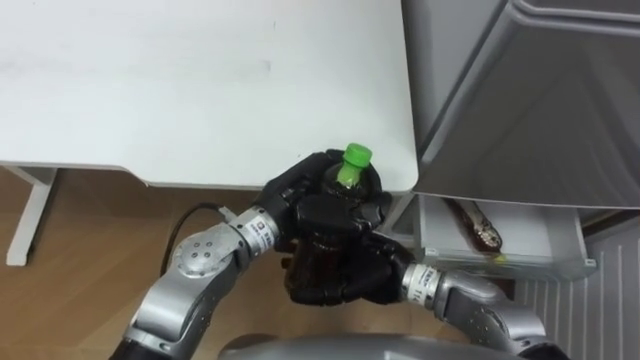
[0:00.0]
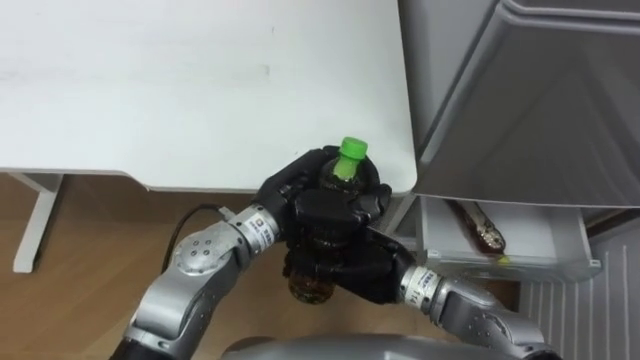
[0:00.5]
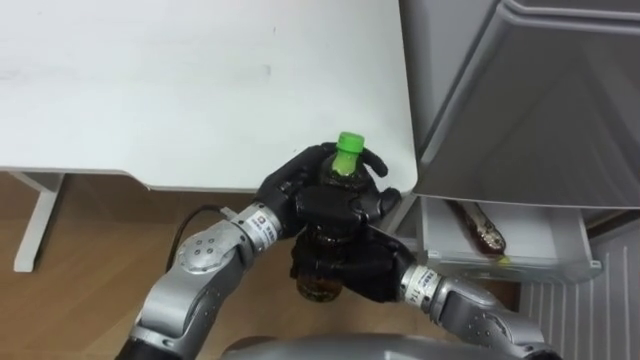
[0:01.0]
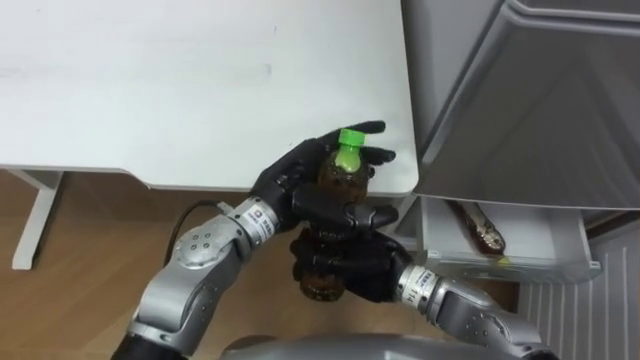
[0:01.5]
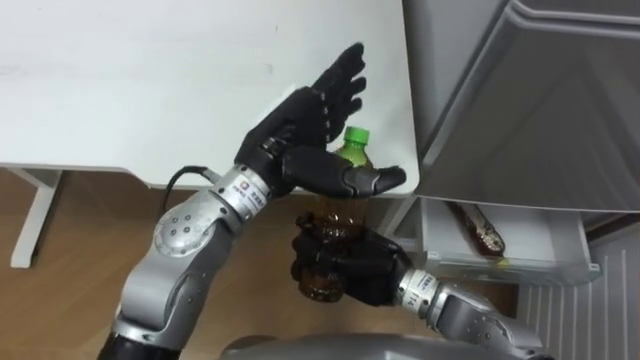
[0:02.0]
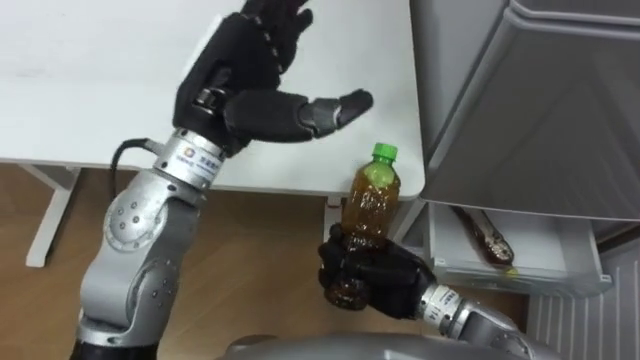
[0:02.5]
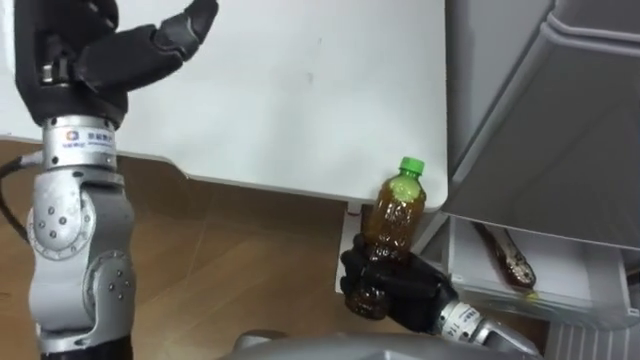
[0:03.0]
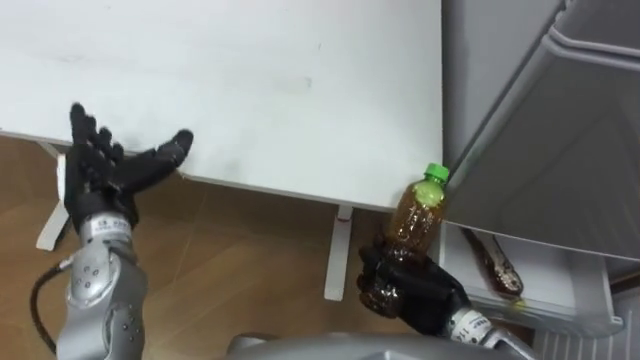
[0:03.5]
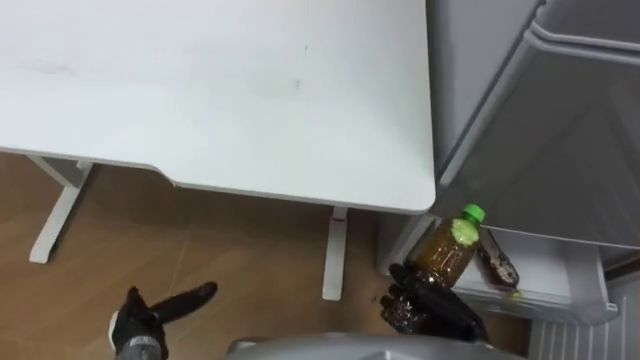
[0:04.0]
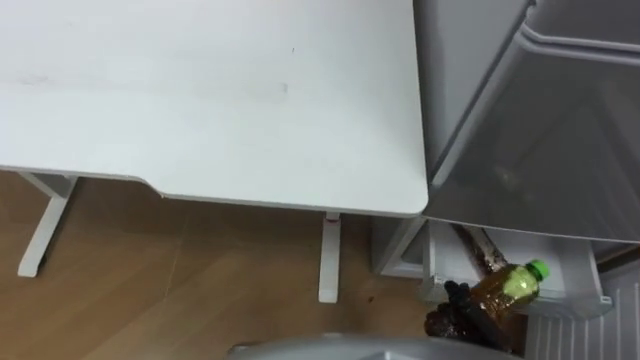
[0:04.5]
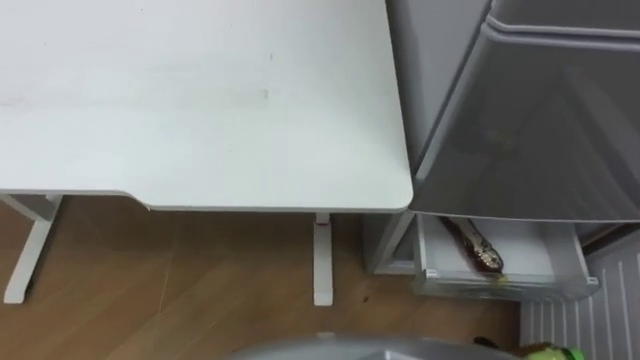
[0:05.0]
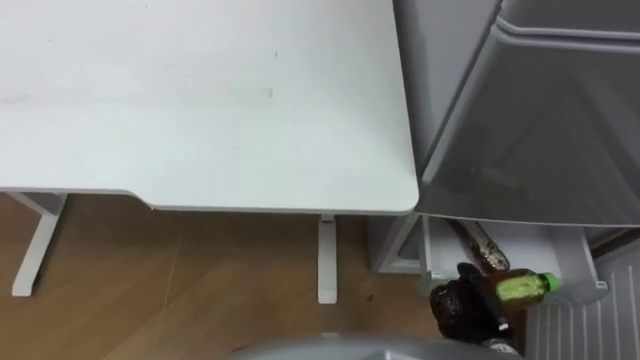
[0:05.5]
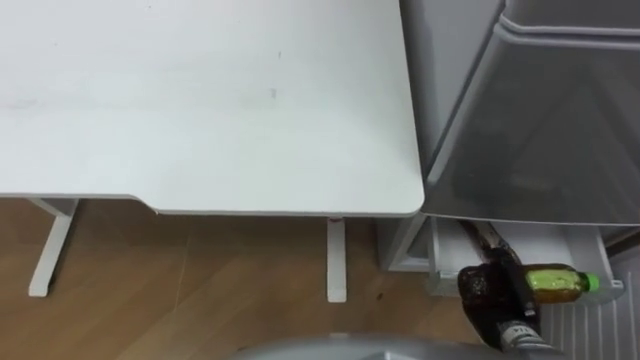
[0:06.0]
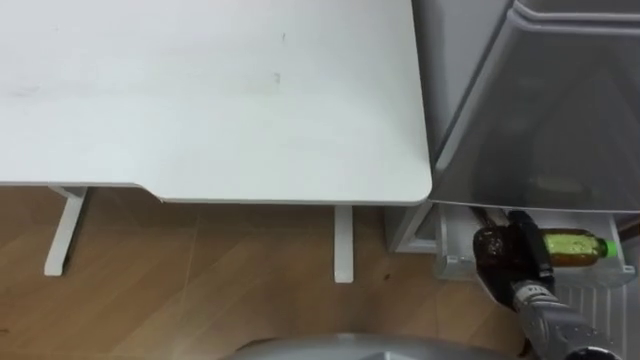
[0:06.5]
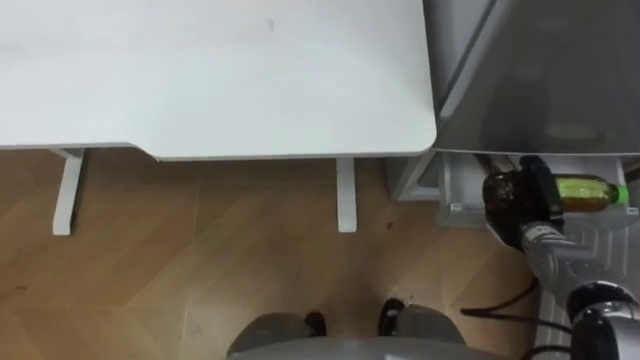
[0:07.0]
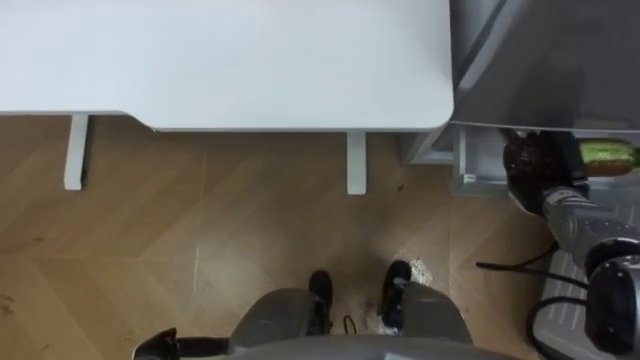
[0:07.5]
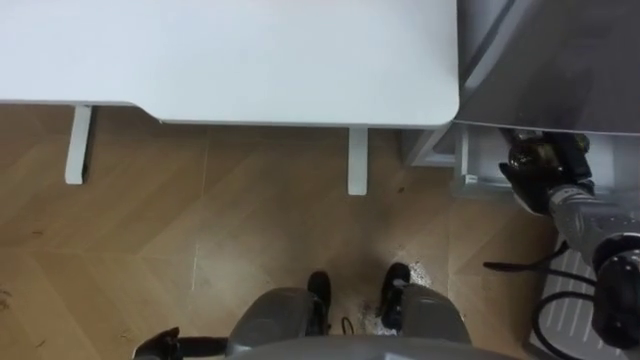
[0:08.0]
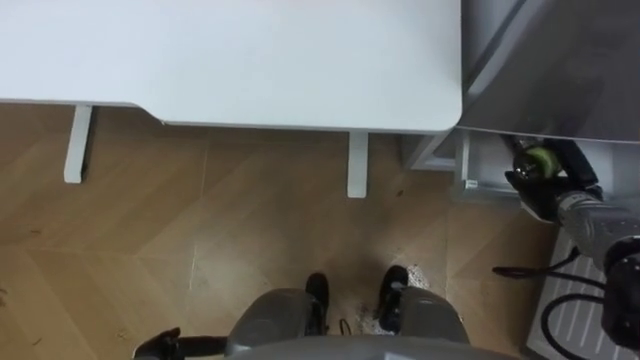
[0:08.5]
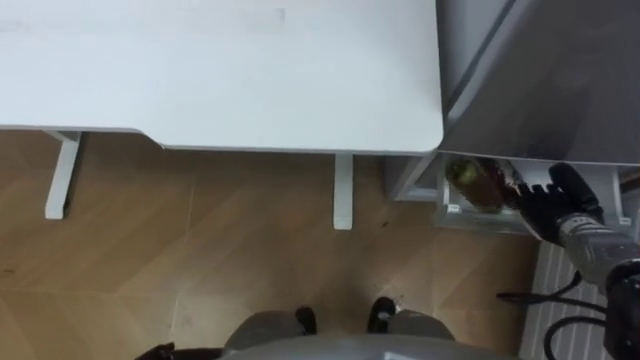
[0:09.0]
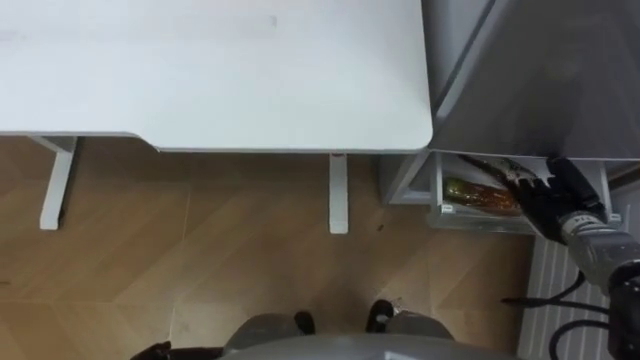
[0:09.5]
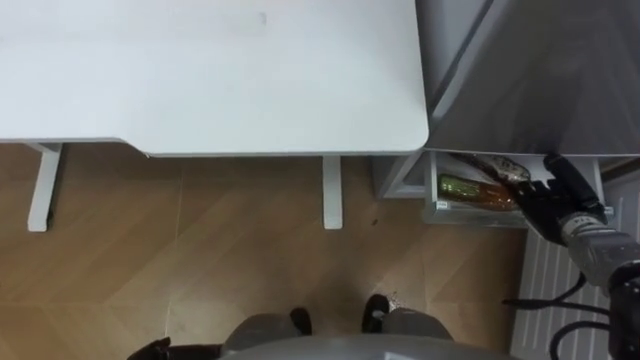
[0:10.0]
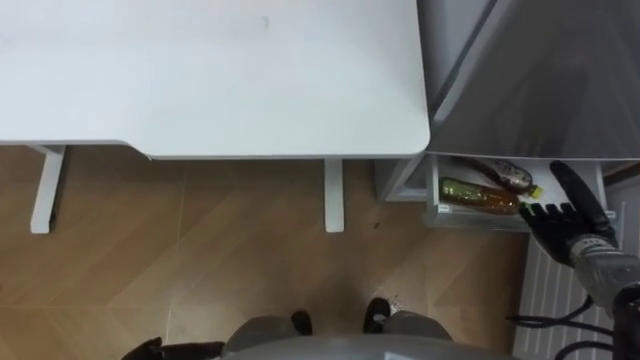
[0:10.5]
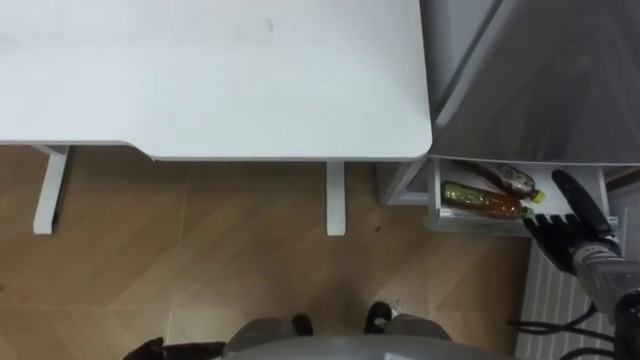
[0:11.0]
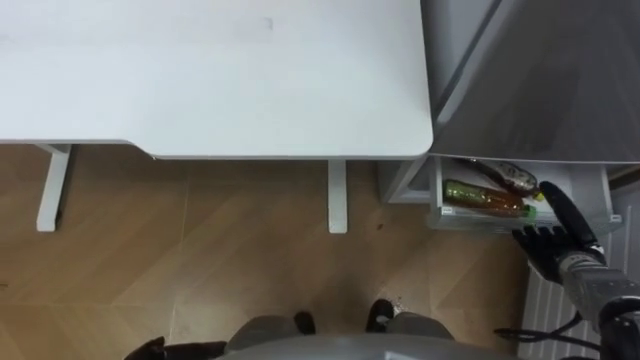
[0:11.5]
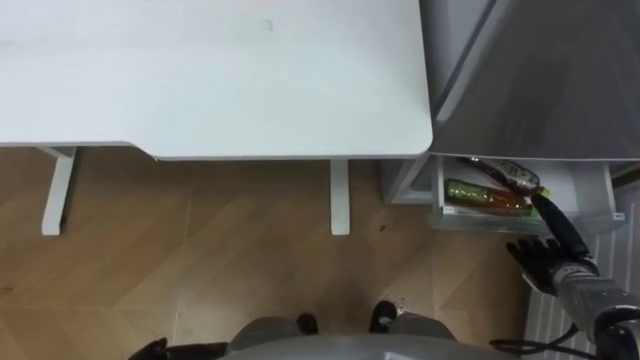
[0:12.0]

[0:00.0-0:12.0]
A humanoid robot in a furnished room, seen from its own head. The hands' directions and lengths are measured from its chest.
Task of the whole recording: Place the drink on the table on the bottom shelf of the refrigerator, then close the drawer and the refrigerator door.
0:00.0 to 0:02.0: The left hand is displaced upward by some 5 cm, and opens. Meanwhile the right hand closes.
0:02.0 to 0:04.0: The right hand moves to the right, downward and backward, roughly 15 cm. The left hand goes about 35 cm downward, to the left and backward.
0:06.0 to 0:08.0: The right hand travels forward and upward by some 20 cm, and opens.
0:10.0 to 0:12.0: The right hand goes roughly 5 cm backward.

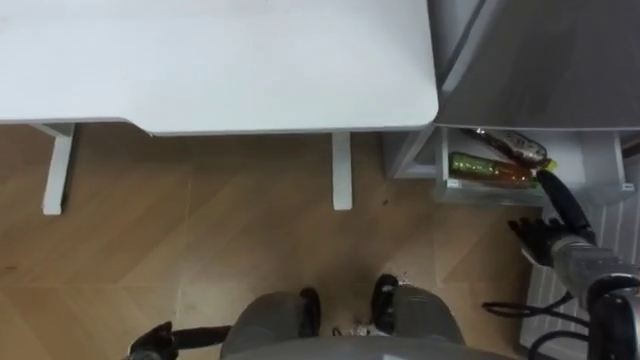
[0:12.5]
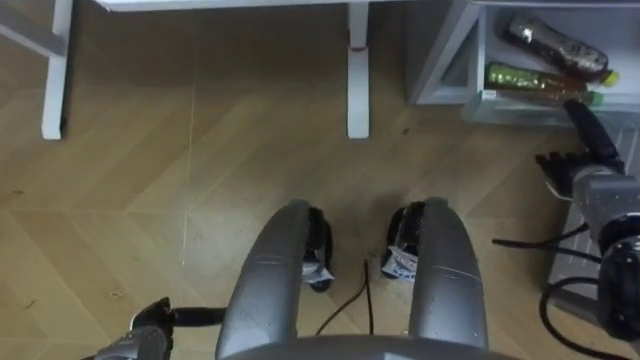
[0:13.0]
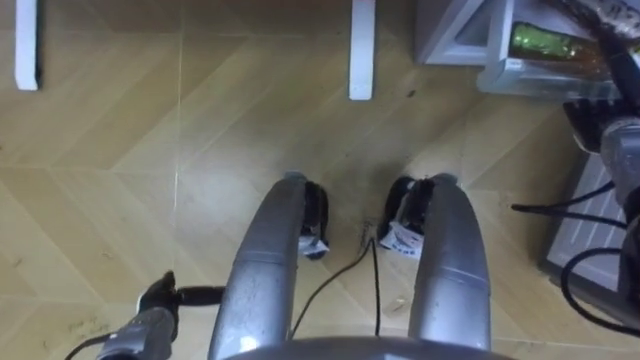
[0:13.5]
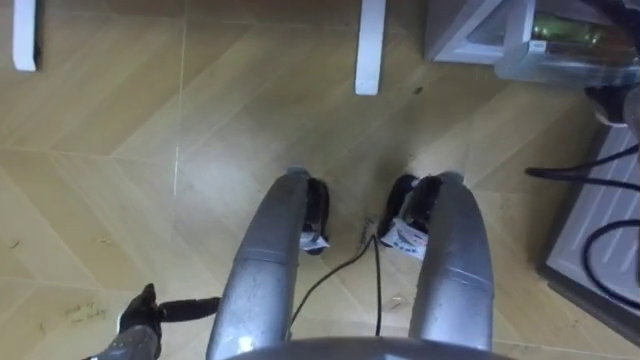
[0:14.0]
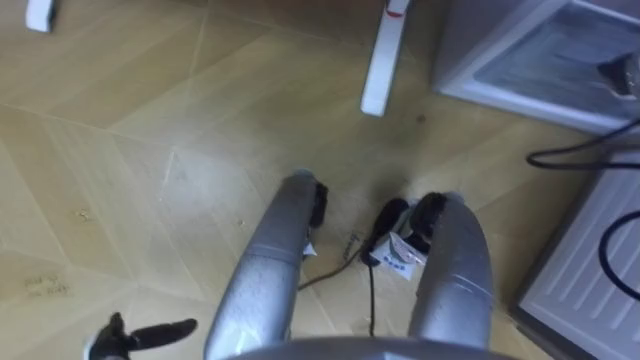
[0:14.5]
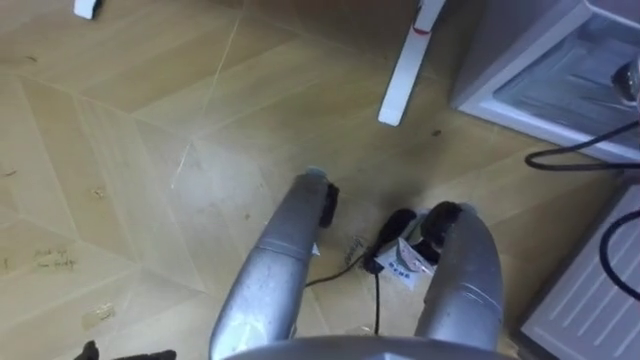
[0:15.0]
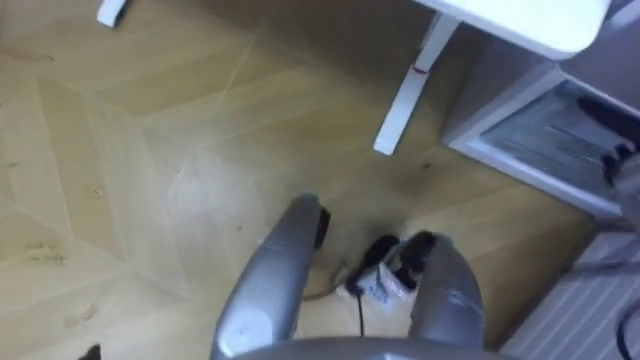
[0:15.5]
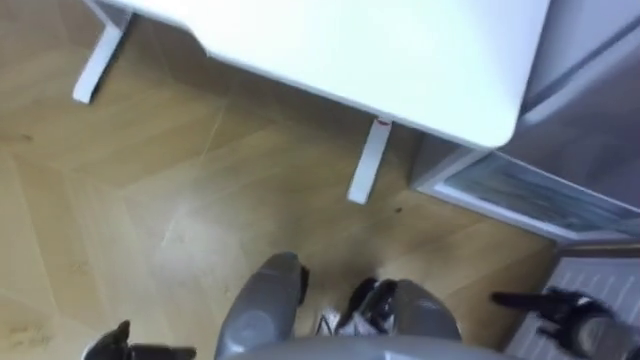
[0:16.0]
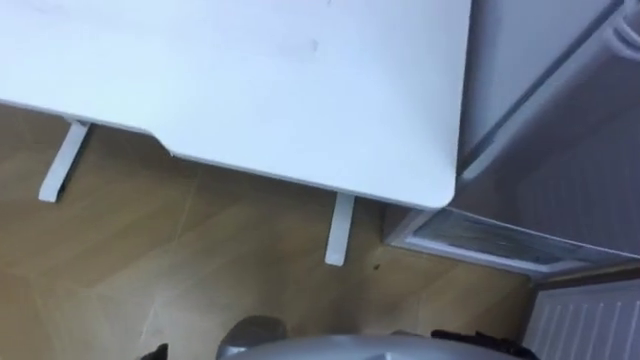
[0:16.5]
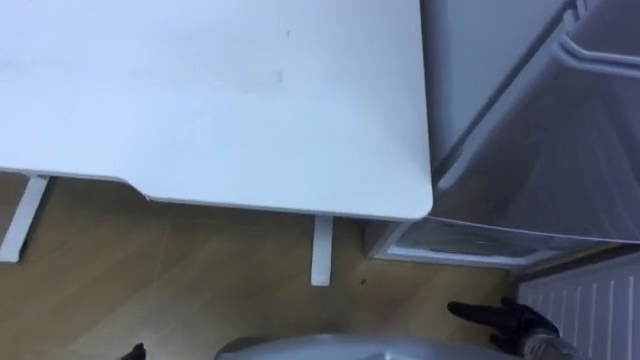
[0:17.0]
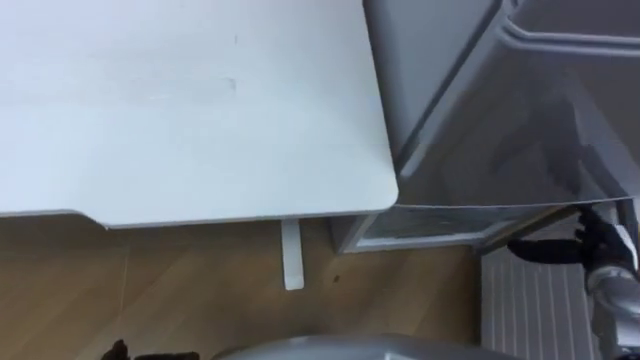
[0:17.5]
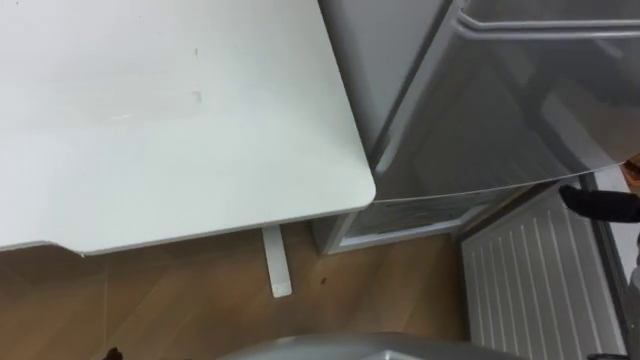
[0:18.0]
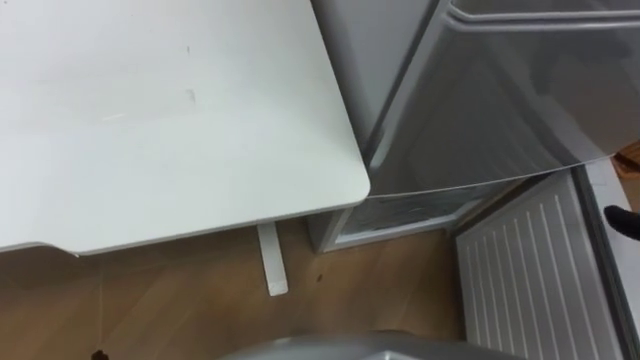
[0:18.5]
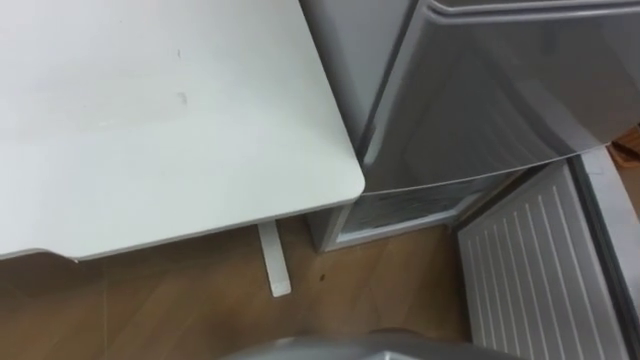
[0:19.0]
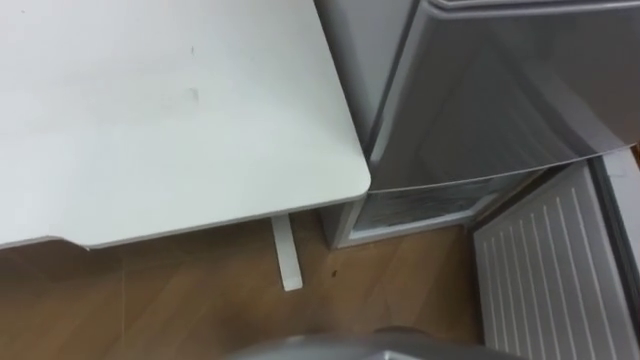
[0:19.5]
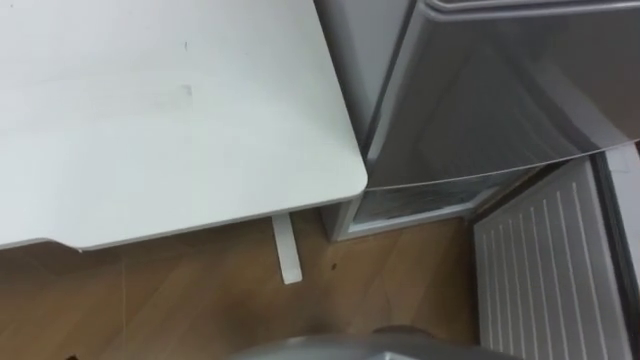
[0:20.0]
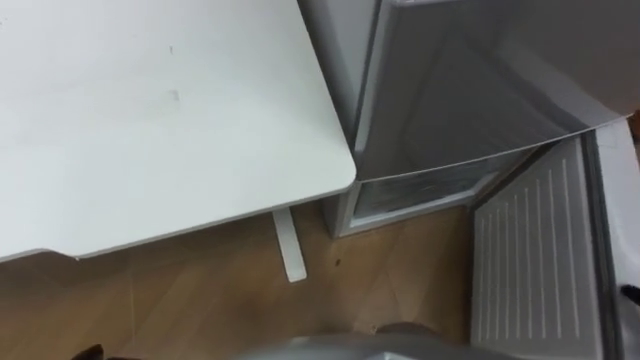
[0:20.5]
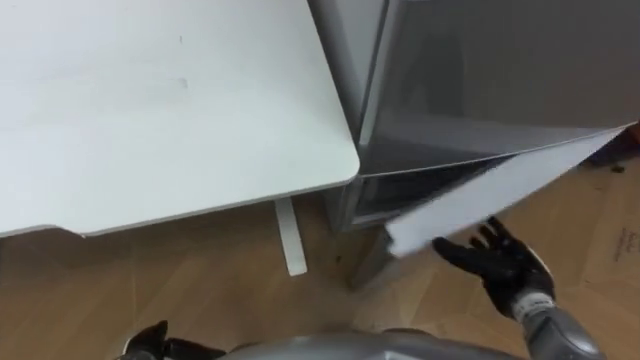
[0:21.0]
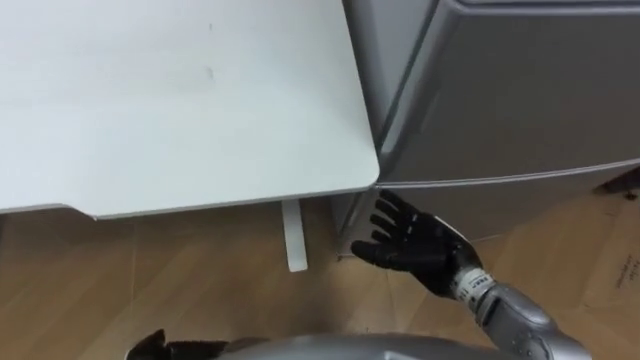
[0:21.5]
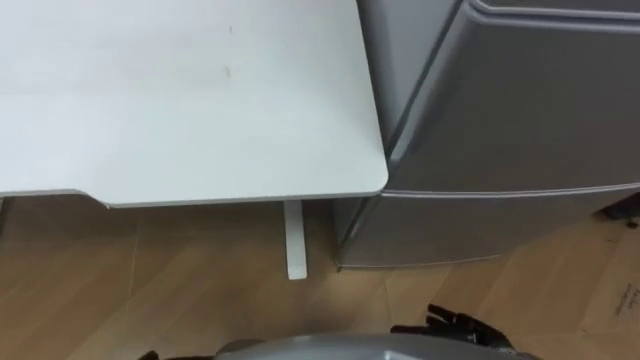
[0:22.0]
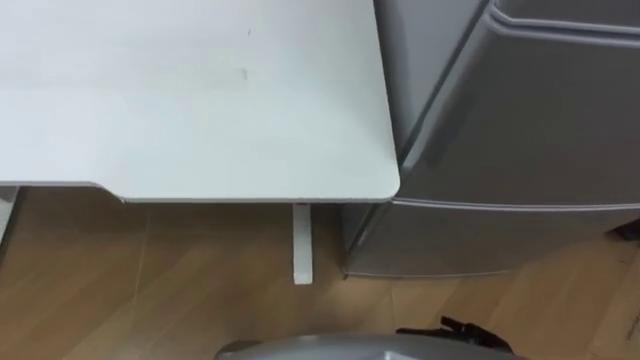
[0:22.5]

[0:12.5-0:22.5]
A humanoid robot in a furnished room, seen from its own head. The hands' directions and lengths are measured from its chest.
Task of the whole recording: Place the drink on the table on the bottom shelf of the refrigerator, then close the drawer and the refrigerator door.
0:12.5 to 0:14.5: The right hand moves upward and forward, about 25 cm.
